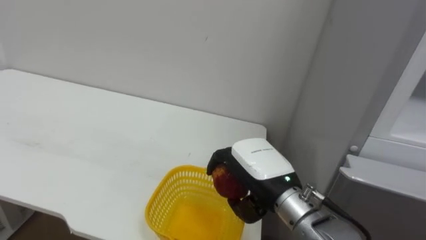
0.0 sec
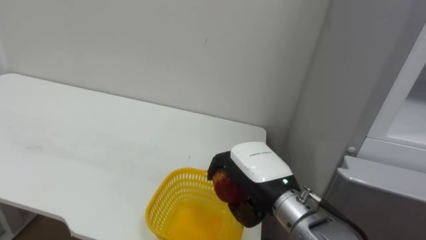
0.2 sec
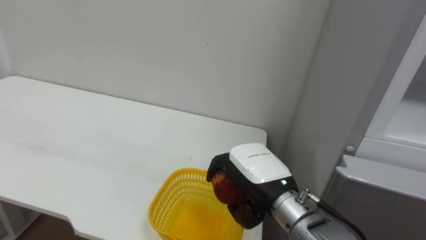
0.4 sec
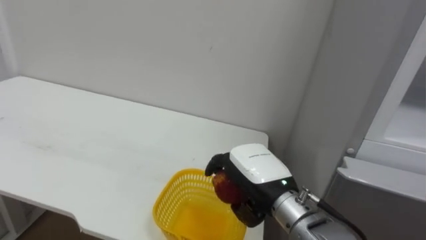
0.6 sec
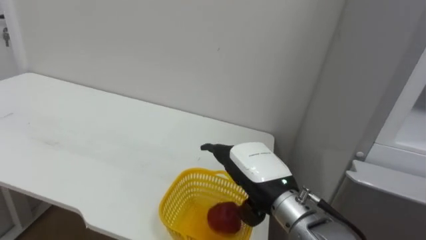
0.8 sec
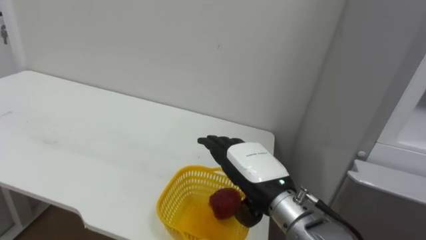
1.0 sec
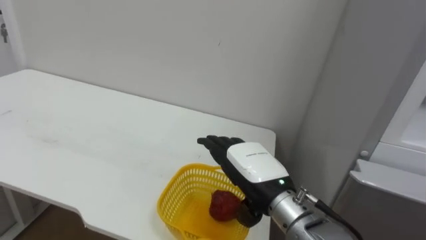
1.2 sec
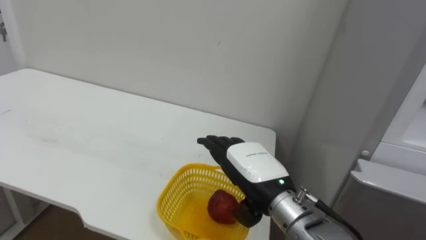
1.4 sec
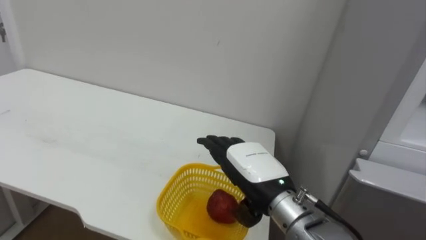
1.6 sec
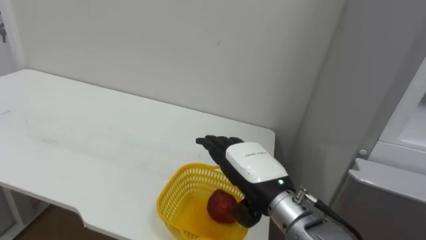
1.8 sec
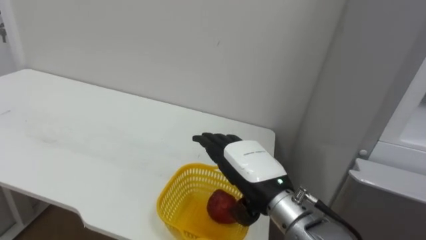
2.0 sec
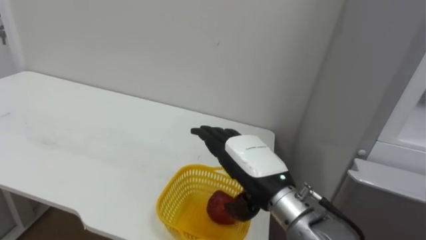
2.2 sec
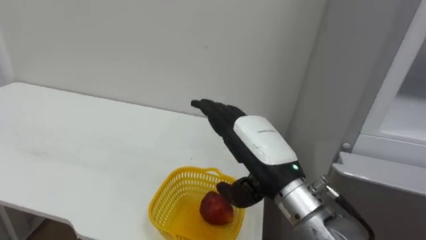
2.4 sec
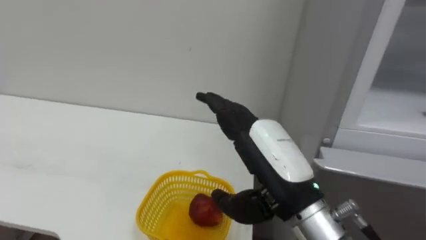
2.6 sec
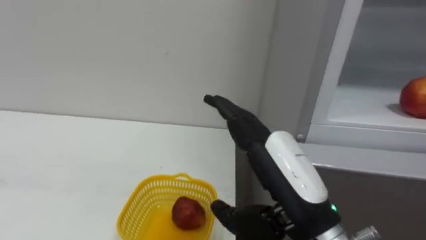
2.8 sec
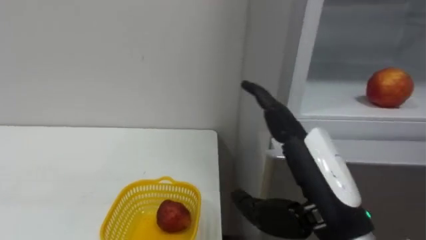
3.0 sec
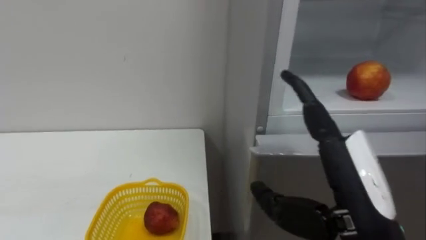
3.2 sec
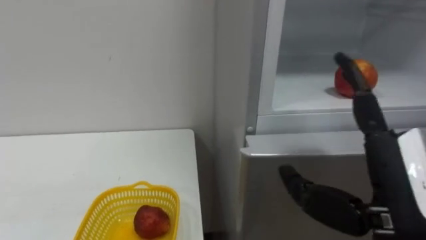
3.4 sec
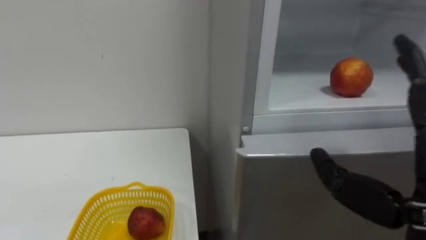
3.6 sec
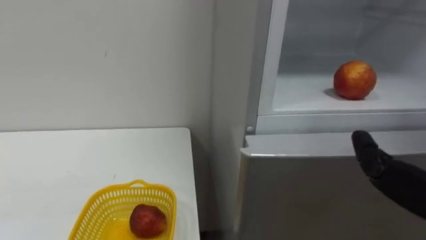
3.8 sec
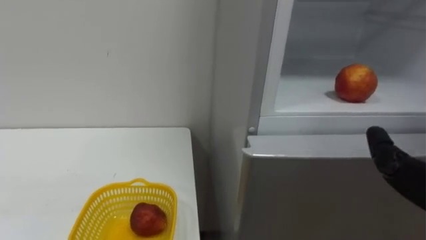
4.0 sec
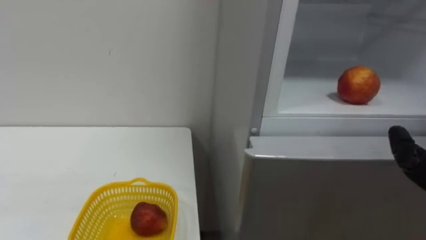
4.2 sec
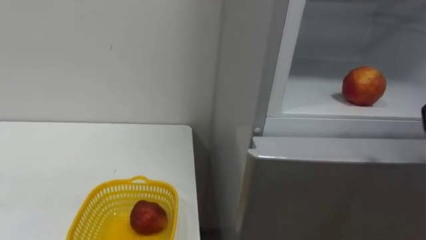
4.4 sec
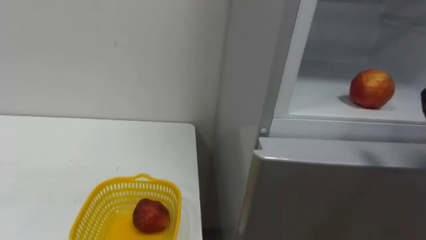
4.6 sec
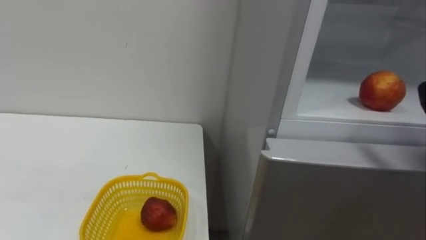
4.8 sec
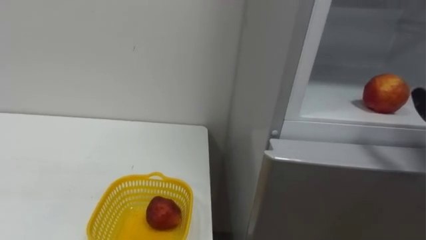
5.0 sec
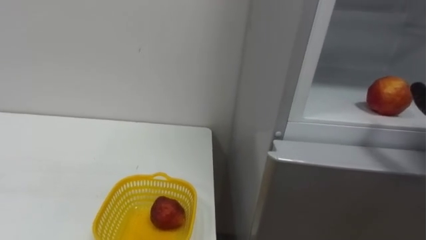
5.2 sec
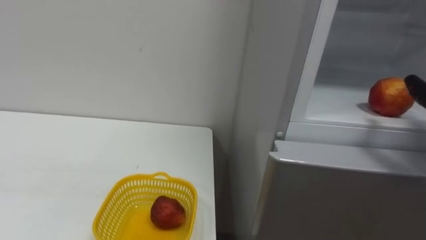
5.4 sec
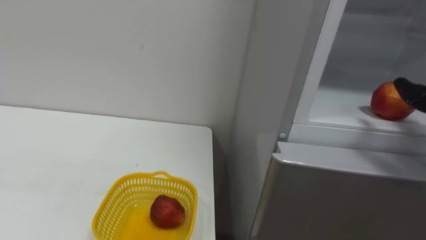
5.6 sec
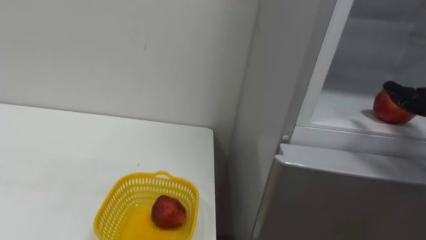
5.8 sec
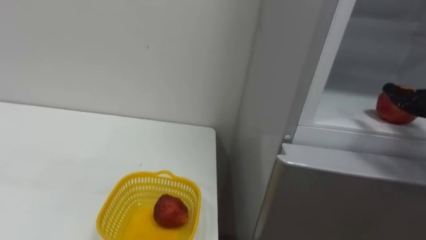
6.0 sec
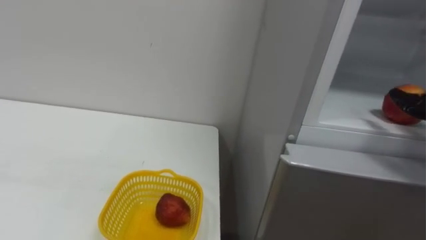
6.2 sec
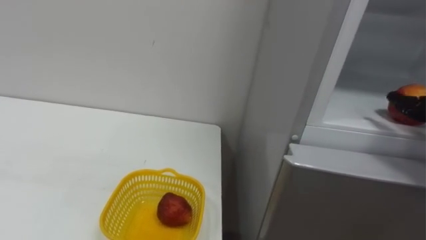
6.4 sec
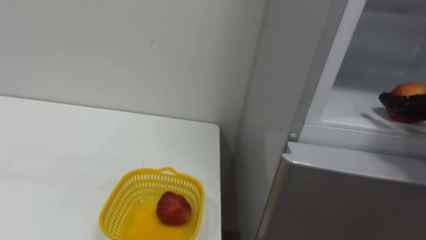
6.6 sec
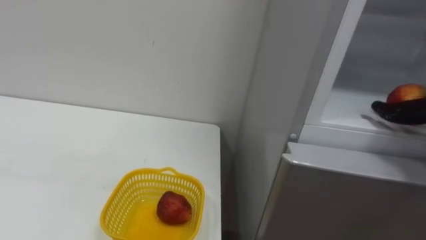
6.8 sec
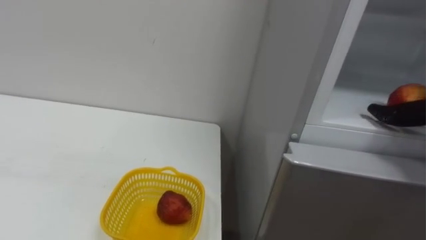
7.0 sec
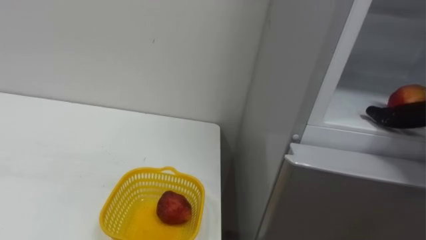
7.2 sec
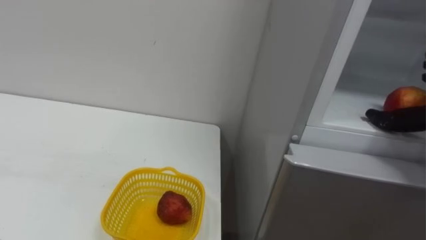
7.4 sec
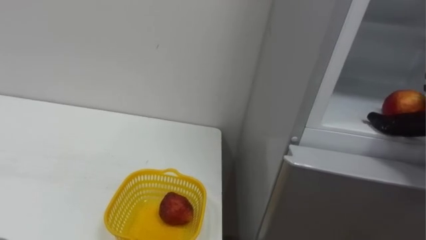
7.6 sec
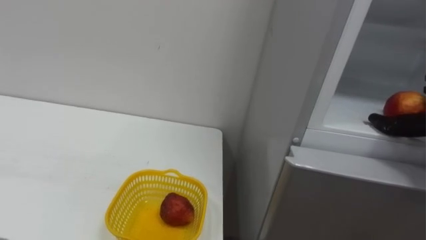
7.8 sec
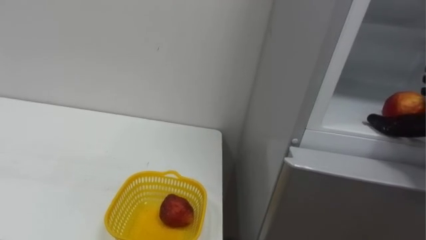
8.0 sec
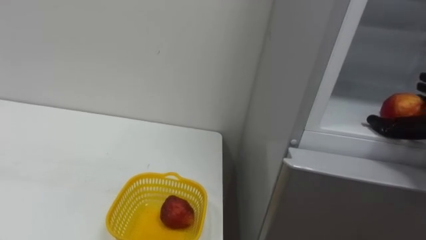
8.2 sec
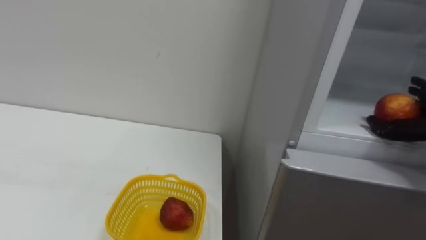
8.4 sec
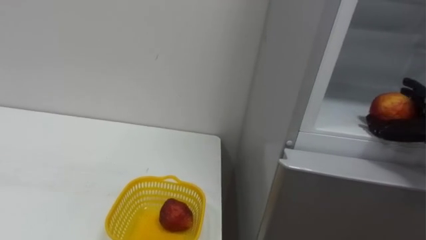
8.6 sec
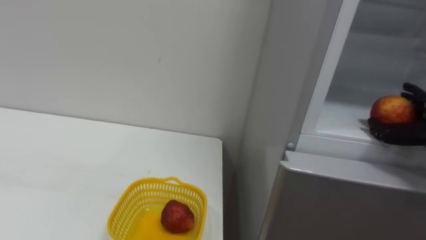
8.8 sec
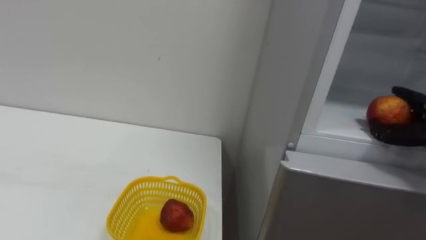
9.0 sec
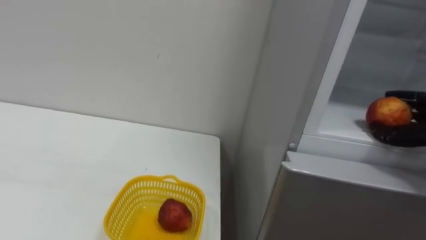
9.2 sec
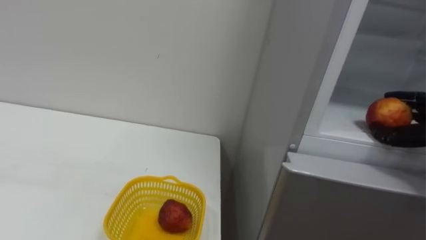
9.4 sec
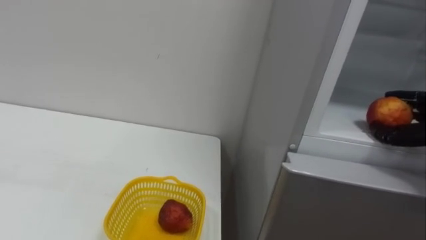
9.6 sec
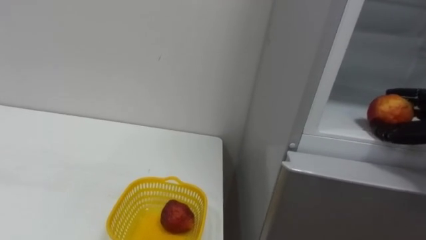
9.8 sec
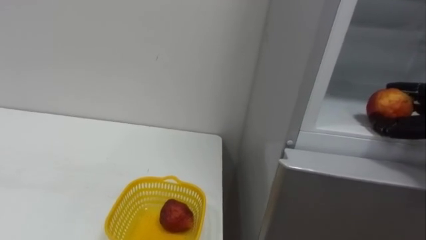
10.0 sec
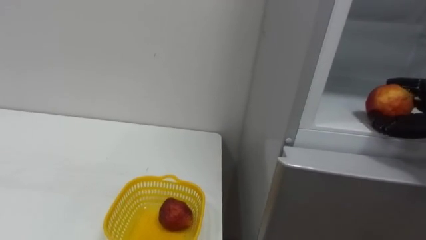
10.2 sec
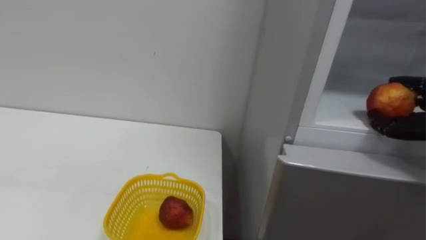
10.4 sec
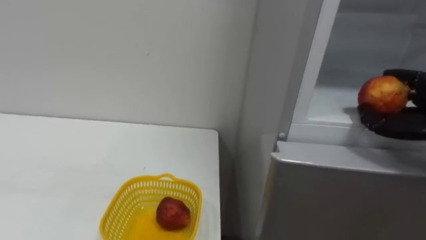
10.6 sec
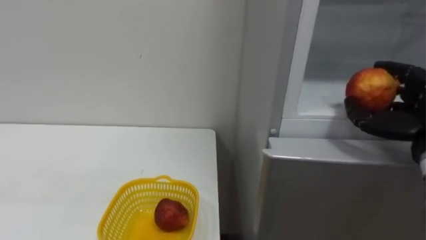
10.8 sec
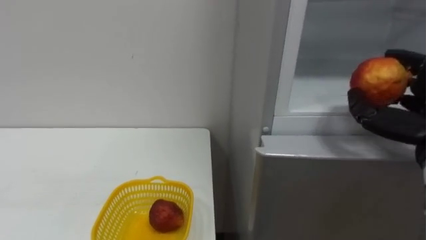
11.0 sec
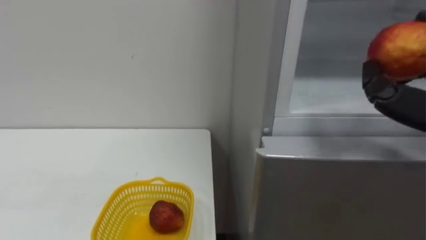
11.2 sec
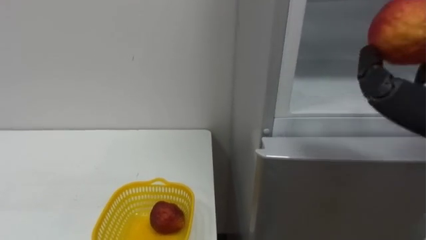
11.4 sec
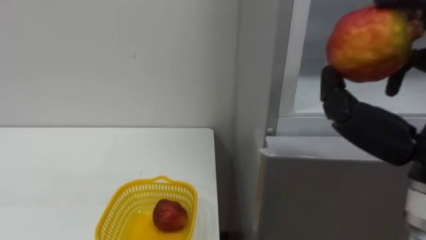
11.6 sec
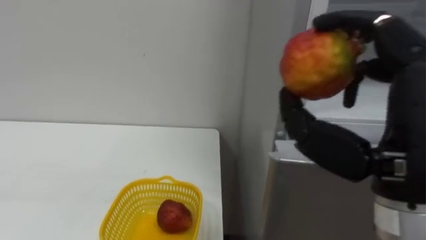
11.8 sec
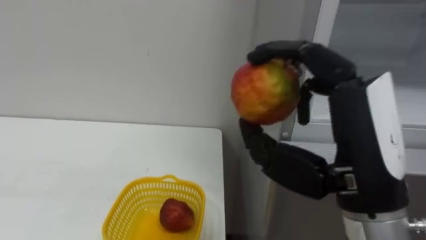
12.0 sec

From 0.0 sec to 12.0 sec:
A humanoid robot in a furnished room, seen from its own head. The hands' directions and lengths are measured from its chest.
Task of the whole recording: Open the refrigerator door, take out the apple and the pomegranate, place them in the fruit basket on the left, and close the refrigerator door.
From 0.0 sec to 1.6 sec: The right hand opens its fingers.
From 1.6 sec to 3.0 sec: The right hand heads backward, upward and to the right, covering about 15 cm.

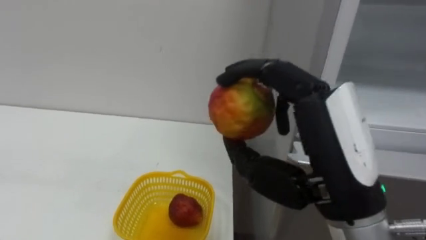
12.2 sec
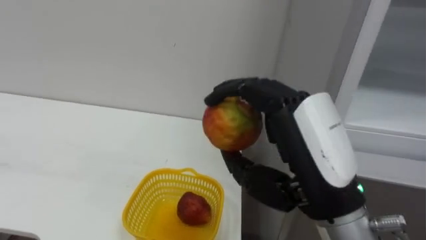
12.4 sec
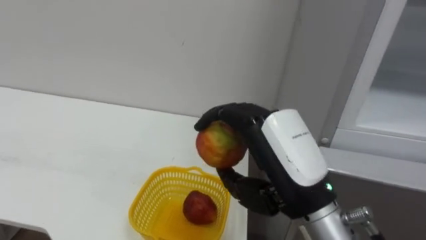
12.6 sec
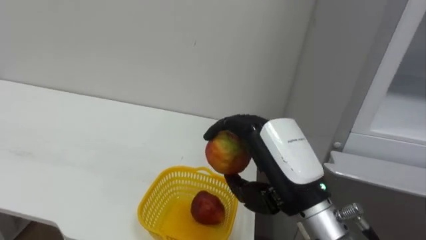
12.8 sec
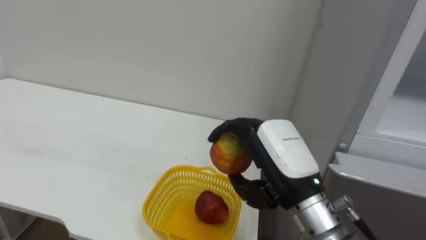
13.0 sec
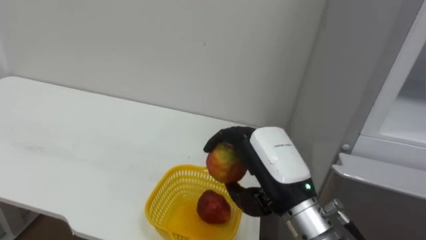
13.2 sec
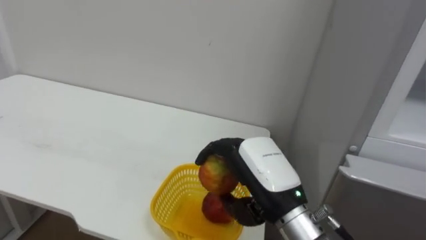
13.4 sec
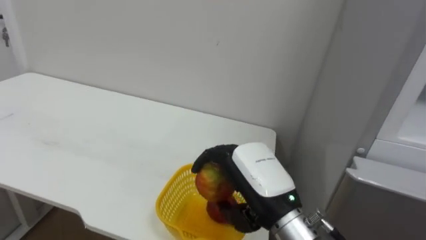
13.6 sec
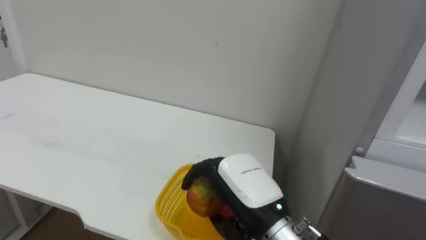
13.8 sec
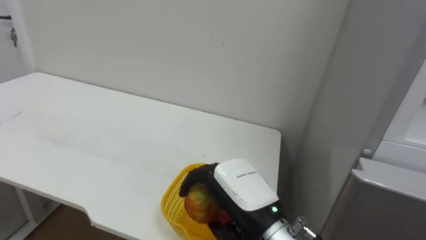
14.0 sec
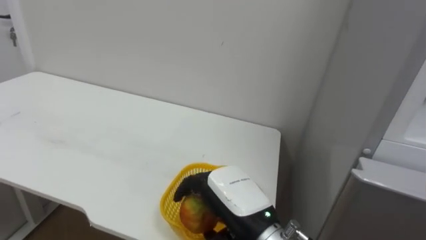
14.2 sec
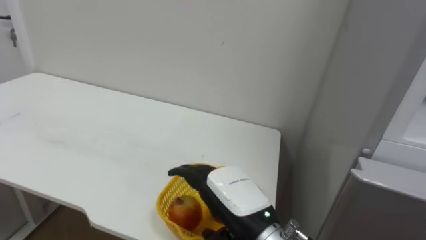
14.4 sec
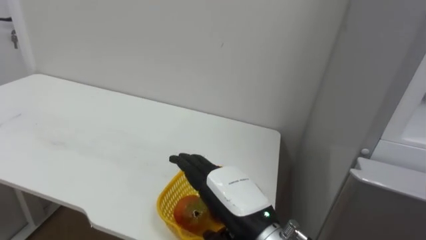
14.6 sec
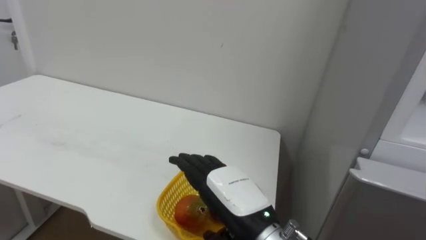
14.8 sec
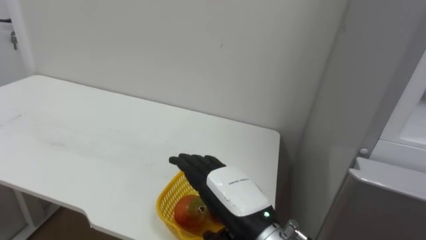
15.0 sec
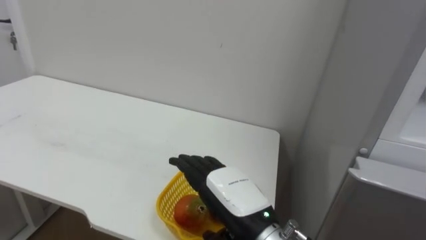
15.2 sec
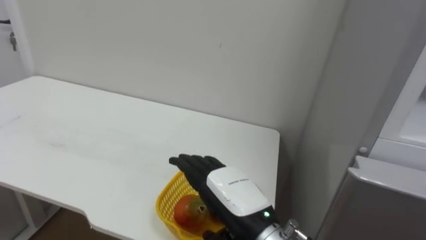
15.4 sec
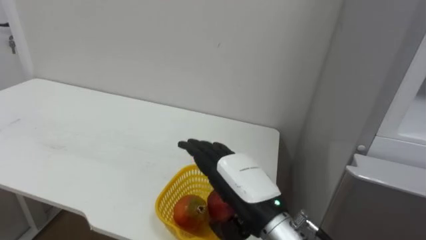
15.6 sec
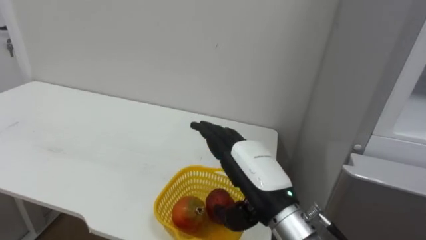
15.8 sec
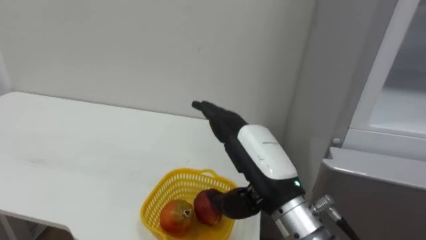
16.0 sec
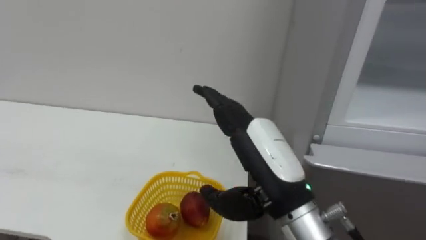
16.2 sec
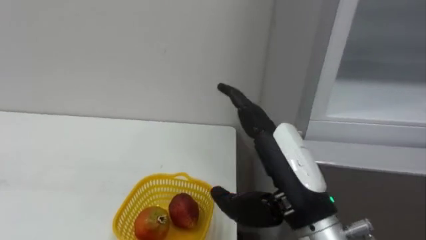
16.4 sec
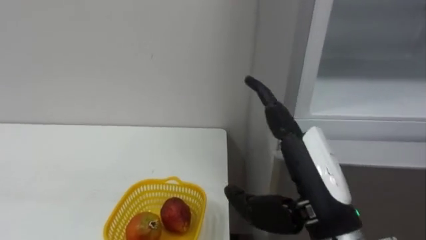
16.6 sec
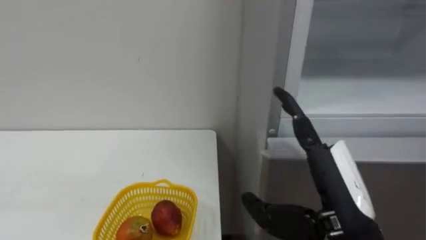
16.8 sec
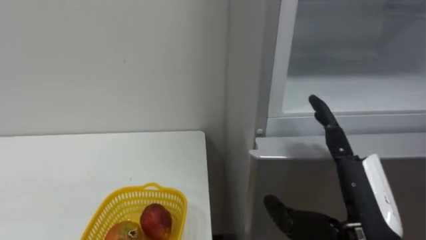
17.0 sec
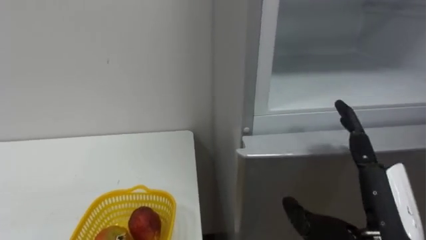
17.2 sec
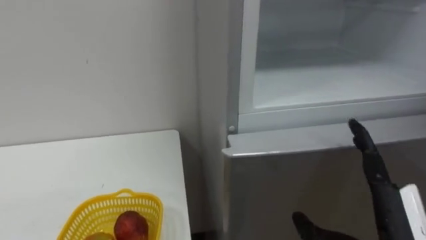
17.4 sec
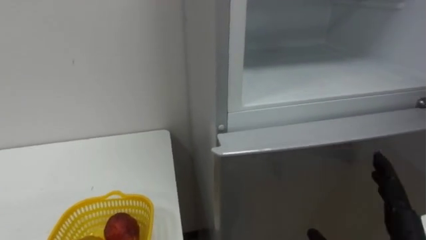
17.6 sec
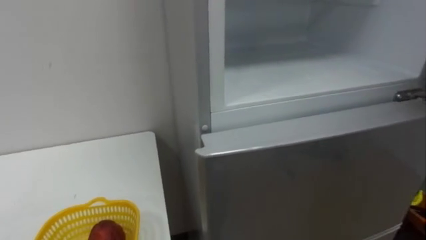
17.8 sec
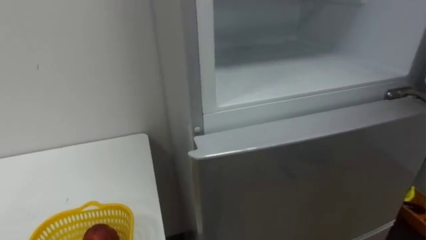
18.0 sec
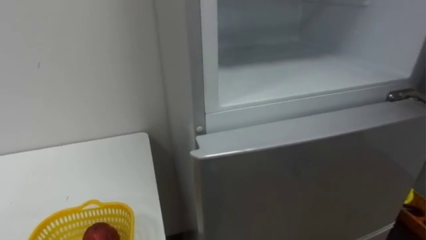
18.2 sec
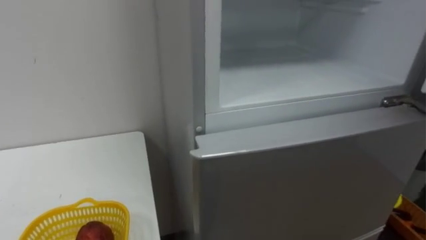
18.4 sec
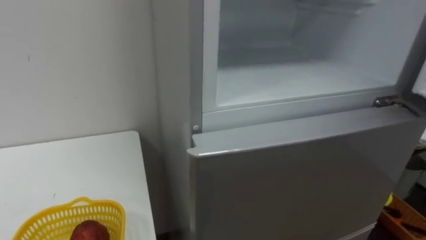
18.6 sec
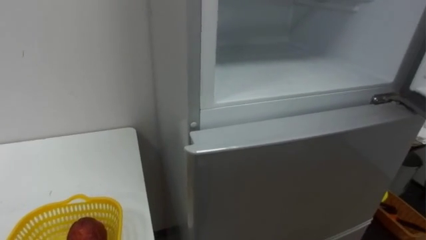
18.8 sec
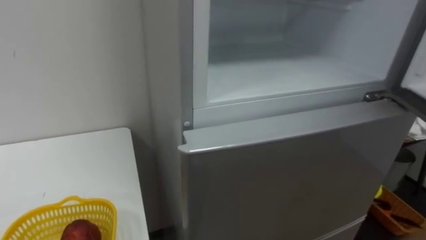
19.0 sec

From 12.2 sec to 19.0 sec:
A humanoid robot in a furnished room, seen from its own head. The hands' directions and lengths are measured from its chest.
Task of the whole recording: Open the refrigerator door, take out the apple and the pomegranate, place them in the fruit basket on the left, and close the refrigerator door.
From 12.2 sec to 13.6 sec: The right hand heads downward, forward and to the left, covering about 15 cm.
From 13.6 sec to 15.0 sec: The right hand opens.
From 15.0 sec to 16.2 sec: The right hand shifts some 10 cm upward.
